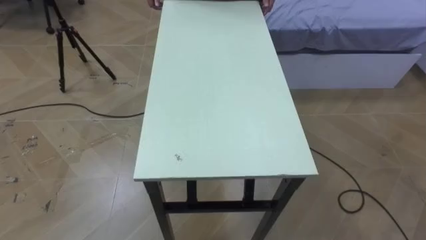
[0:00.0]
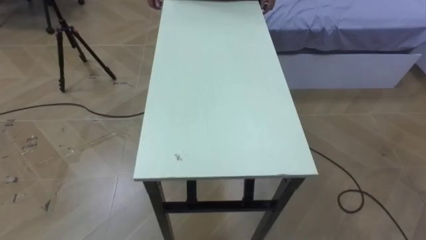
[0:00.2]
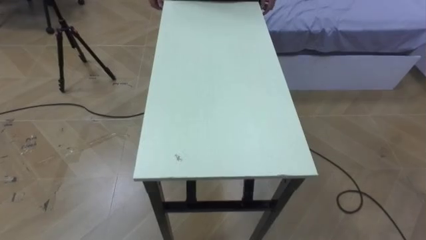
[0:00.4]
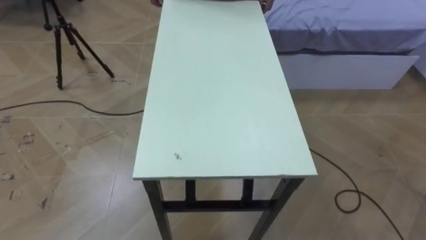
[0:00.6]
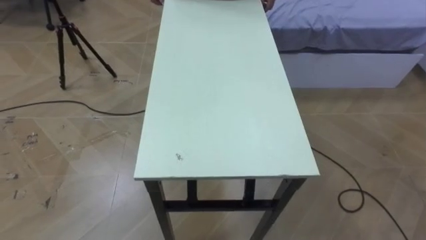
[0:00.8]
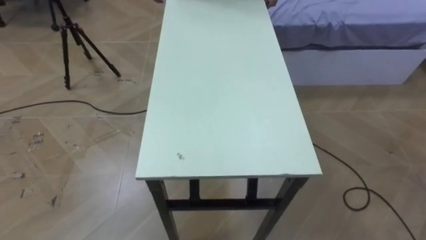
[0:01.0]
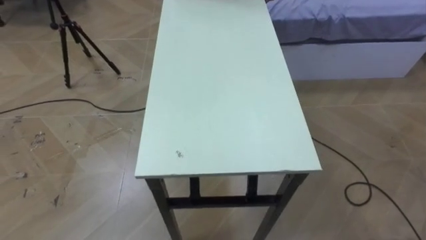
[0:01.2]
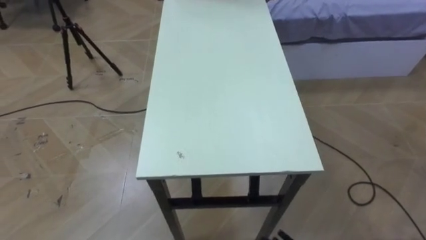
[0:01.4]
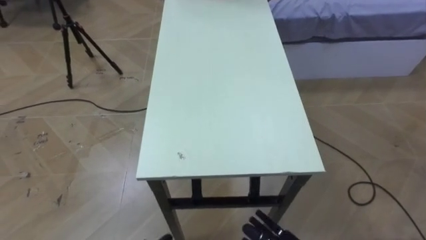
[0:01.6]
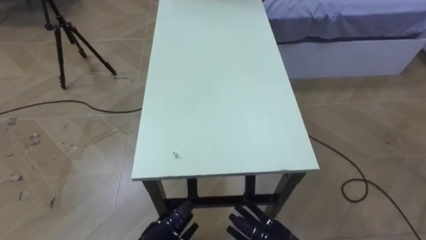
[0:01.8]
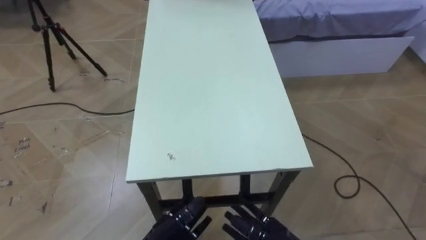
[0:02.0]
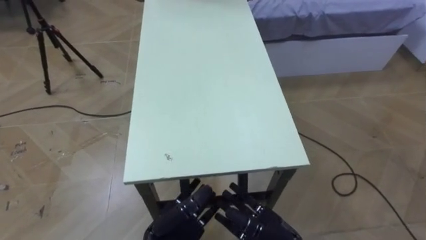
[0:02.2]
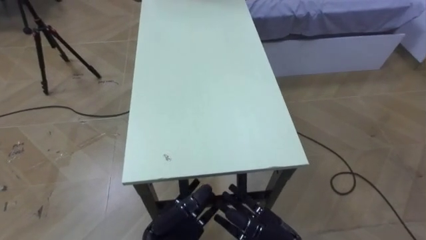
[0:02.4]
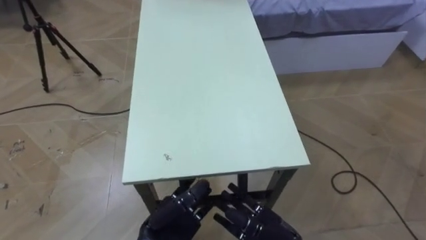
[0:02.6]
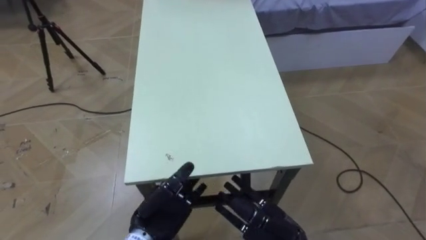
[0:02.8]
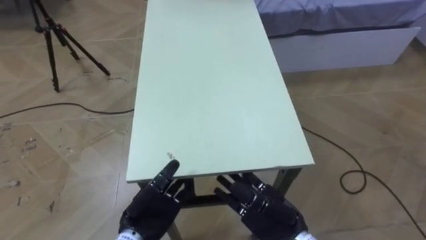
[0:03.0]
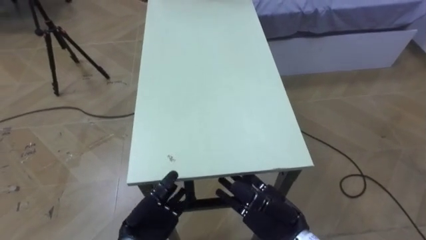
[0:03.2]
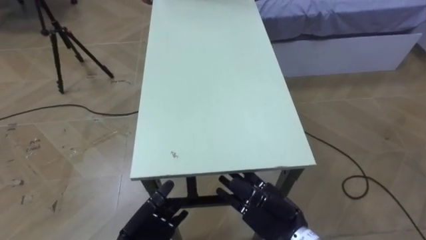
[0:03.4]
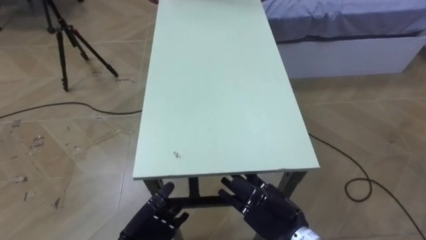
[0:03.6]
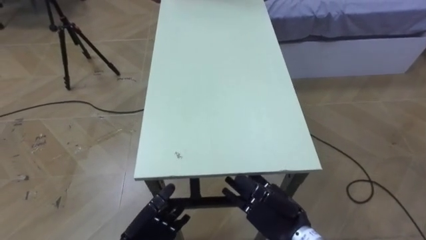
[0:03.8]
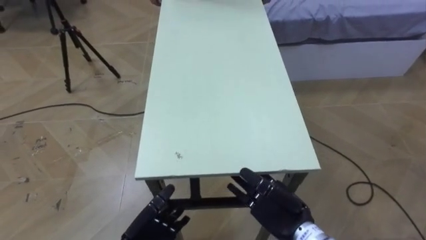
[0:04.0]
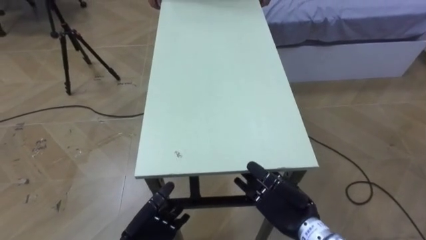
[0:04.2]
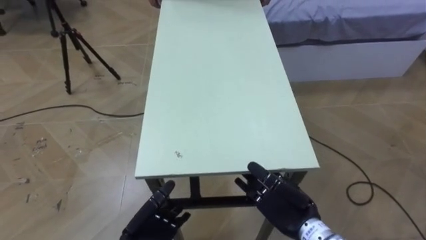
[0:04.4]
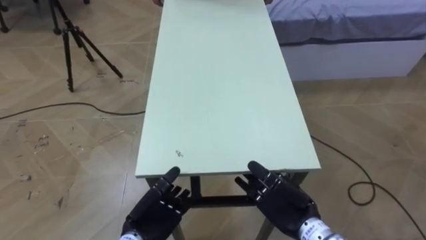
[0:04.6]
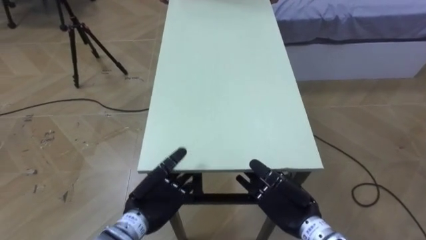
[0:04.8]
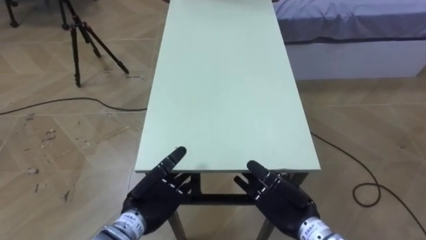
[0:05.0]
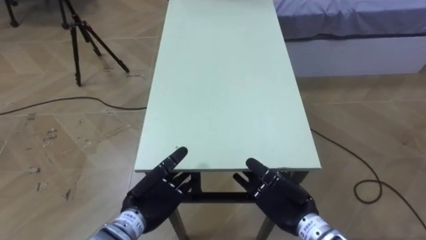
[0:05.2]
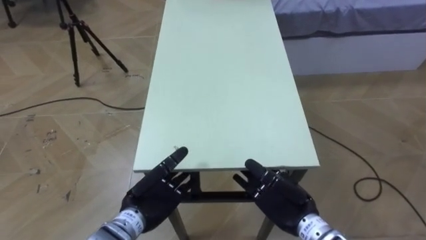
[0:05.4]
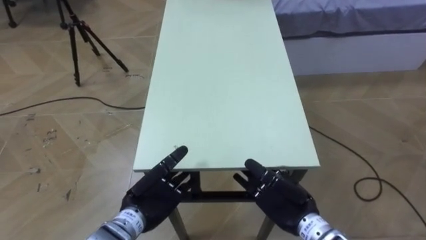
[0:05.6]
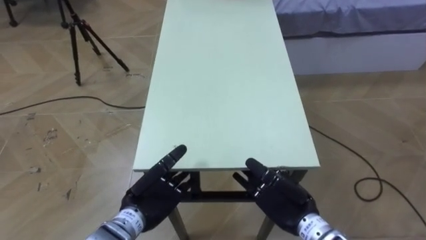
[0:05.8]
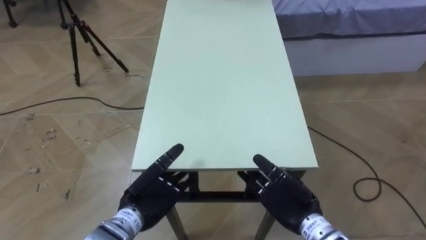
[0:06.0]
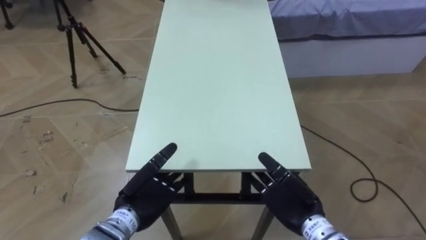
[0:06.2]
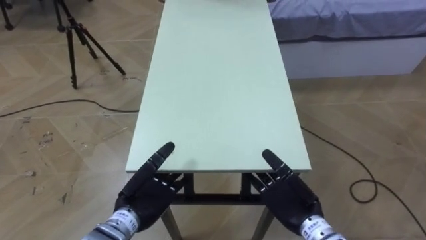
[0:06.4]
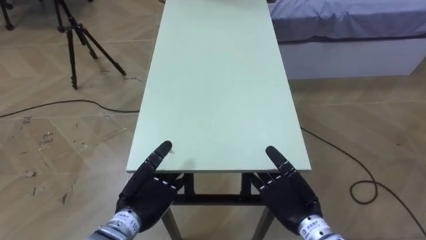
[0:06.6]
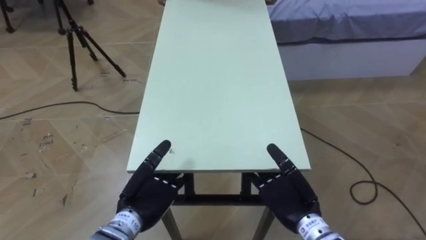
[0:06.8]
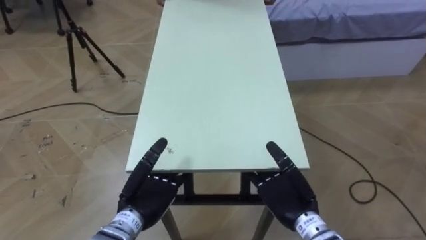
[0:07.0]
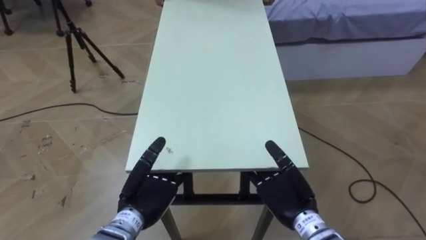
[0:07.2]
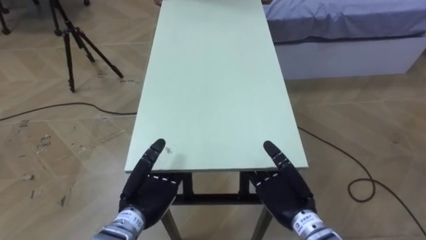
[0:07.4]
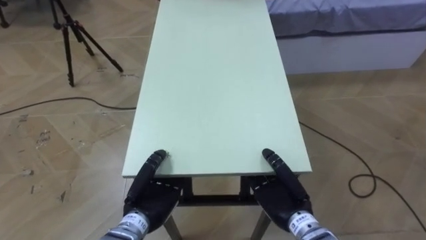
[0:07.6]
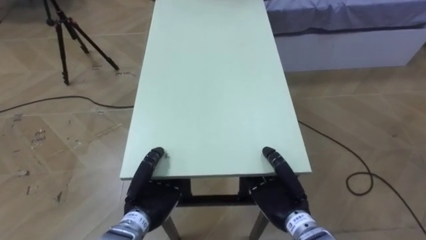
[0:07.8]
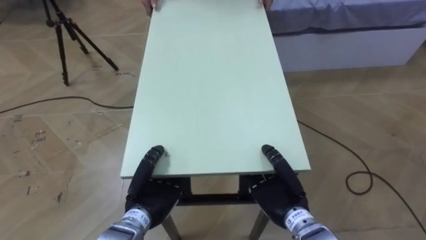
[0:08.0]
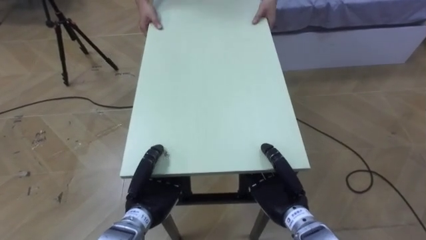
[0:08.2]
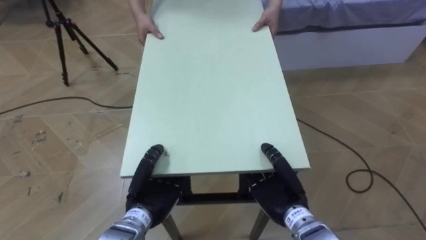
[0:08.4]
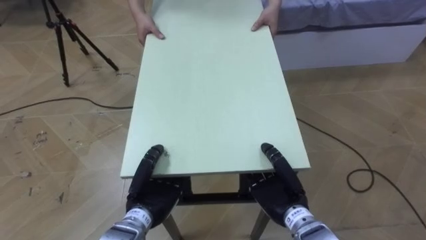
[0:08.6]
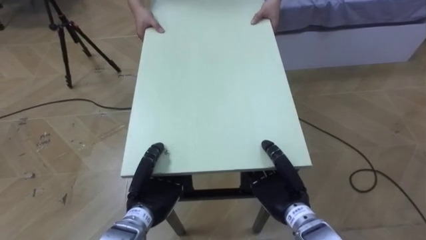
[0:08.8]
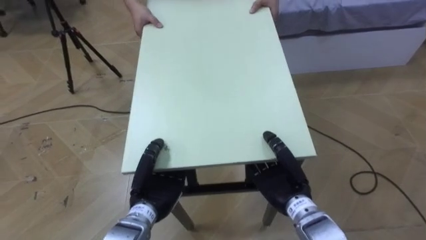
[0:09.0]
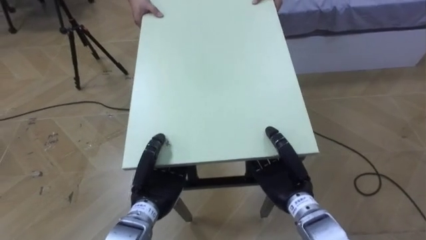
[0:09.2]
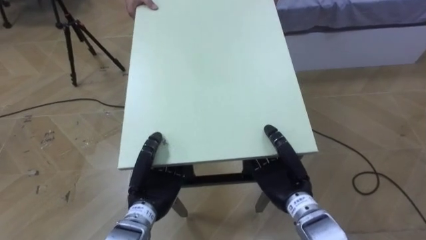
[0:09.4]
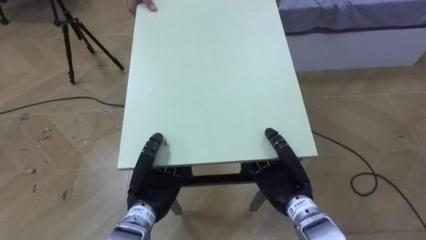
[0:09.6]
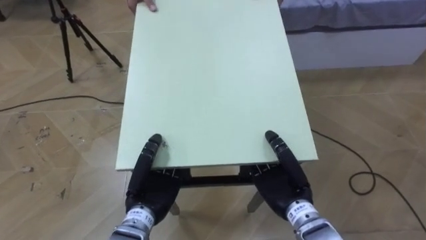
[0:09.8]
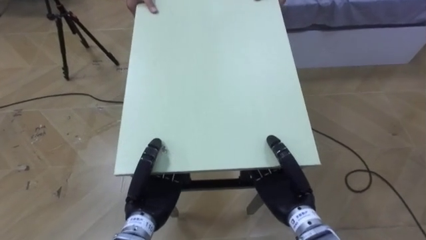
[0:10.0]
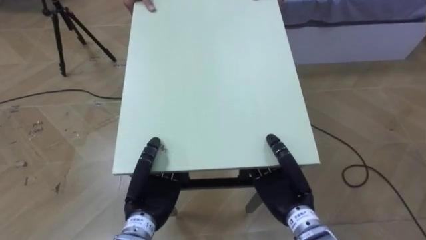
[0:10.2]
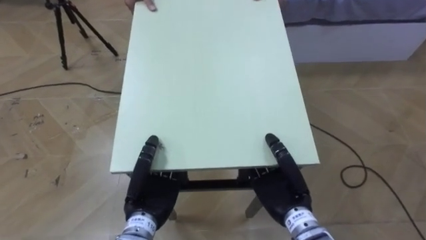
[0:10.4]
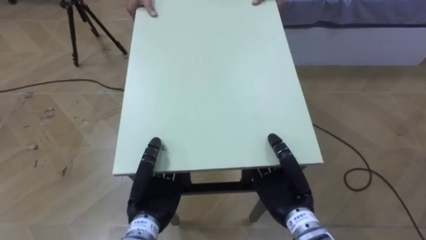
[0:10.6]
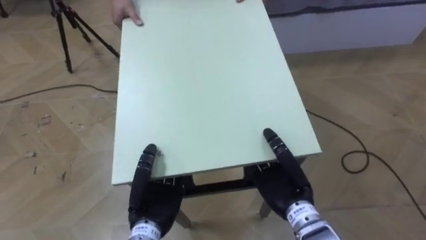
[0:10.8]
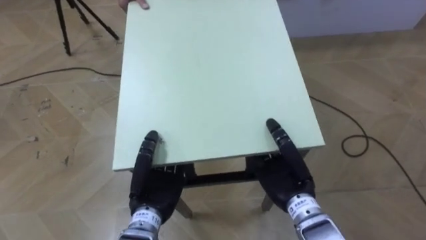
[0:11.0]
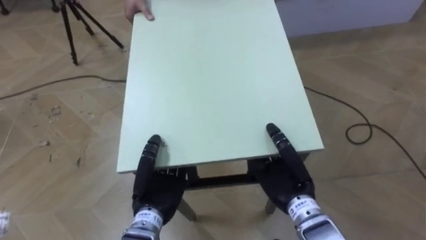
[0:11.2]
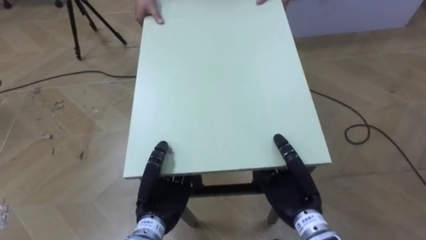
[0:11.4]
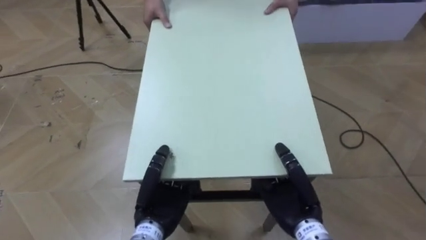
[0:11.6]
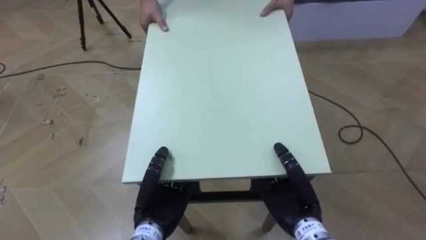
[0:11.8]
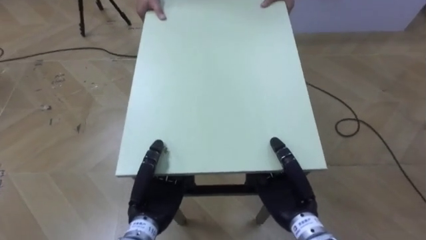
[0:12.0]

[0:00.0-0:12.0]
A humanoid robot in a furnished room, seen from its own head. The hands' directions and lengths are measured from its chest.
Task of the whole recording: Move the table to the back left with someone.
0:03.0 to 0:04.4: The left hand moves downward, some 5 cm.
0:04.4 to 0:06.0: The left hand is displaced upward and forward by approximately 10 cm.
0:06.0 to 0:07.6: The left hand closes its fingers. The right hand closes.
0:07.6 to 0:09.0: The hands make only small movements.

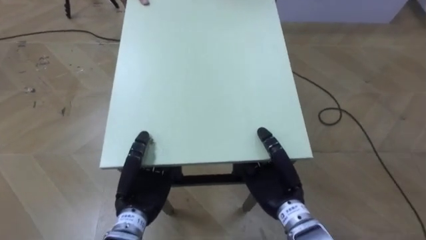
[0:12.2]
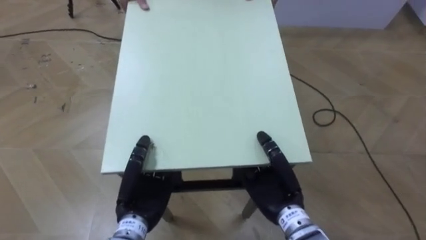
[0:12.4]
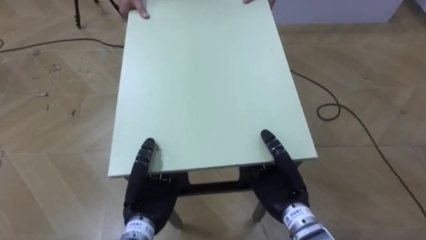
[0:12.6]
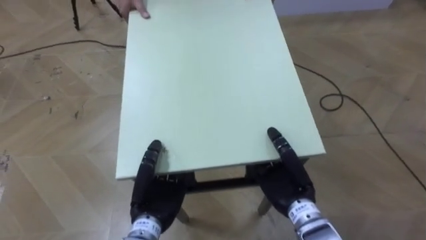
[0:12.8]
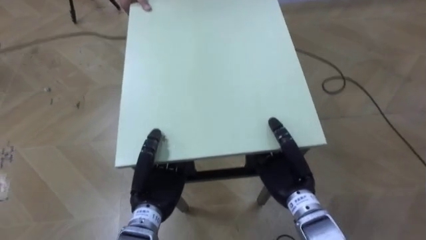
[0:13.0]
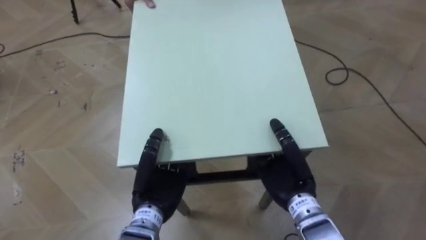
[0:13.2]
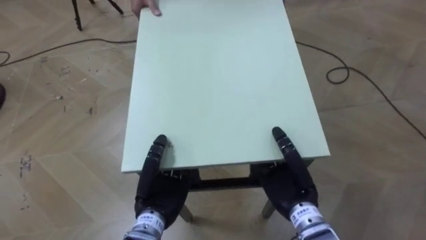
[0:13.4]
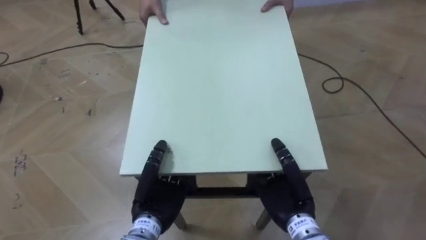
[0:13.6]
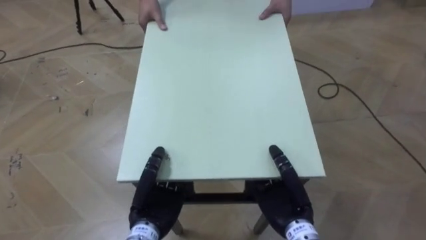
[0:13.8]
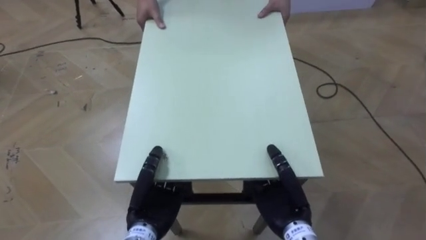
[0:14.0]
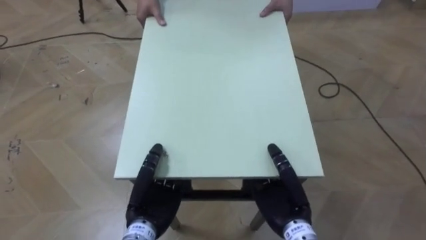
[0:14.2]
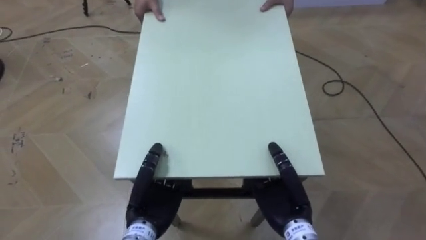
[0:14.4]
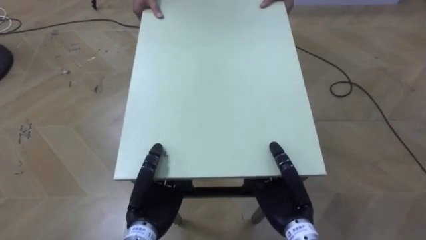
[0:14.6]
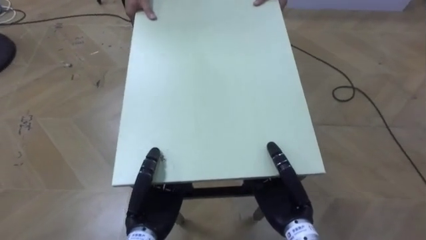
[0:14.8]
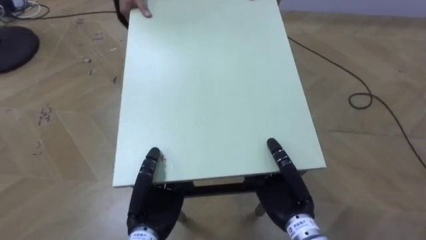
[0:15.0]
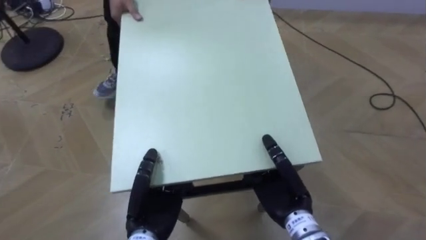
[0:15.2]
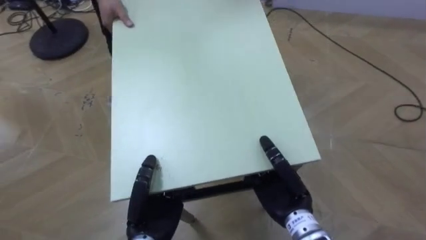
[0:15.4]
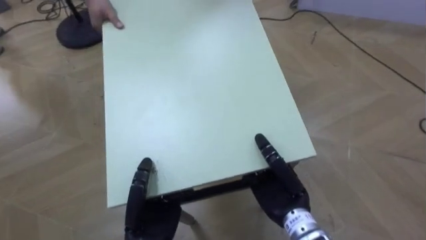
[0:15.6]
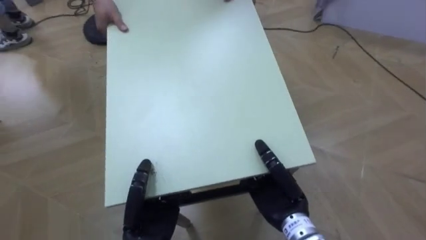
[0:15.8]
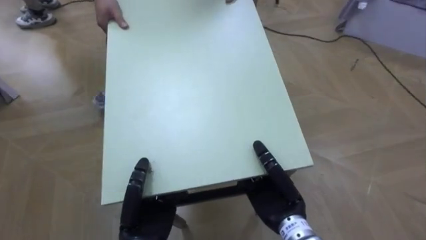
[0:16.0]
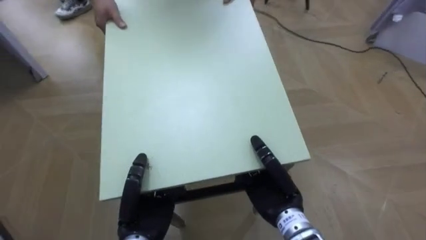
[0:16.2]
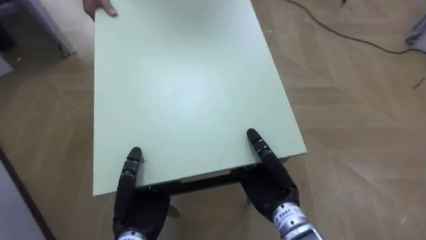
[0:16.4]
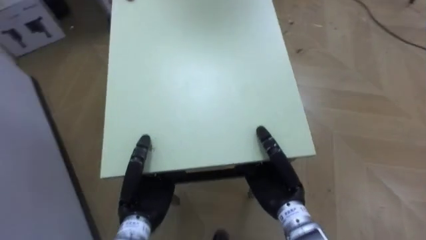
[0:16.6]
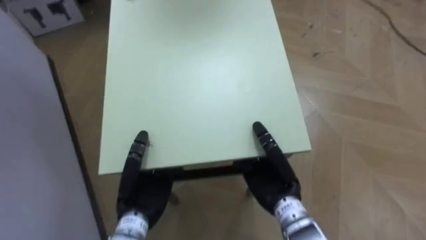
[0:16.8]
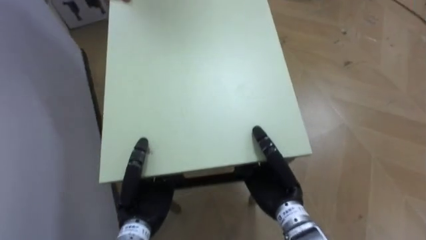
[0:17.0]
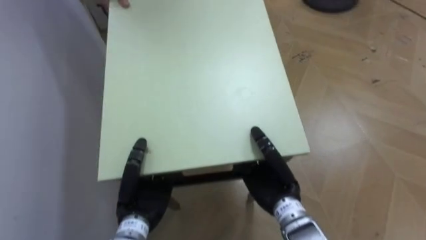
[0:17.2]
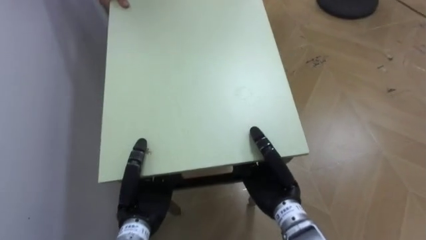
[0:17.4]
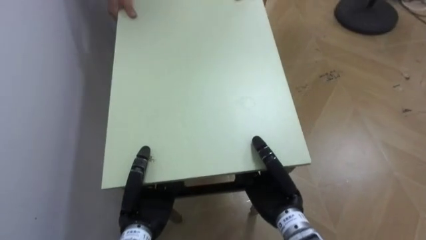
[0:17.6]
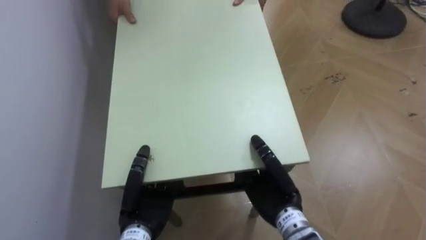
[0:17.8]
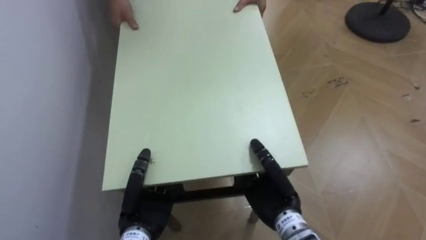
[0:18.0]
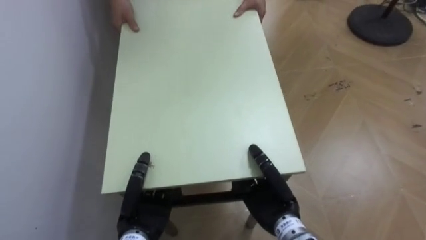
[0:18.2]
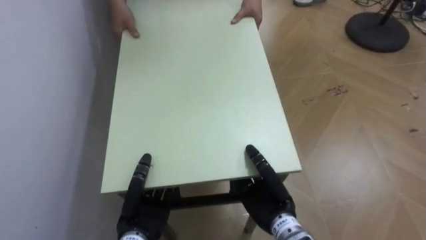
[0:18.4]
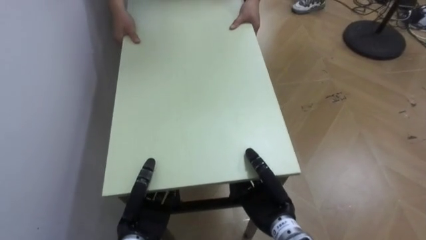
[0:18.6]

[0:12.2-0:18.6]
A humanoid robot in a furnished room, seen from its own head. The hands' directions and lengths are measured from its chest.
Task of the whole recording: Move the table to the back left with someone.
0:15.4 to 0:17.0: The robot rotates roughly 60 degrees to its left.
0:17.0 to 0:18.6: Both hands travel together downward, roughly 5 cm.
